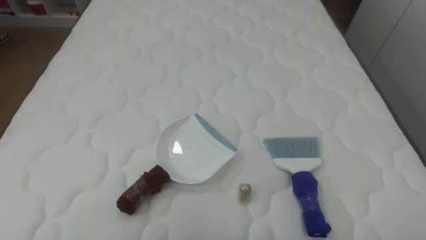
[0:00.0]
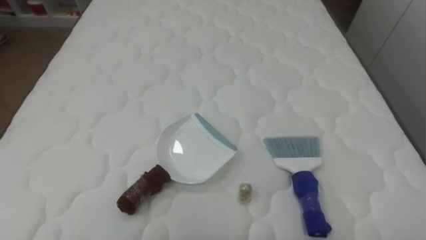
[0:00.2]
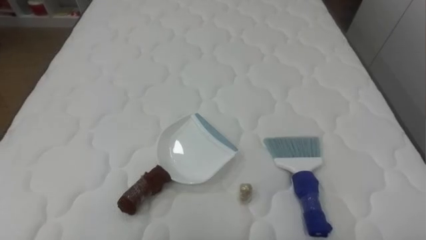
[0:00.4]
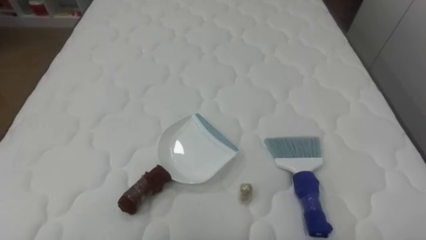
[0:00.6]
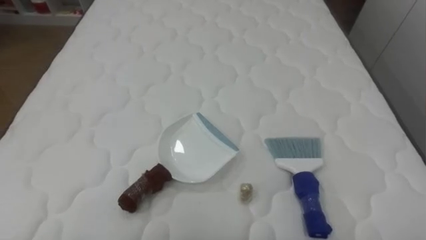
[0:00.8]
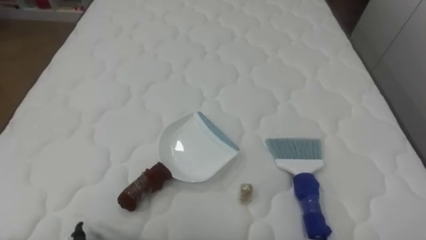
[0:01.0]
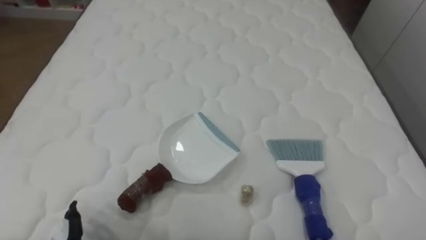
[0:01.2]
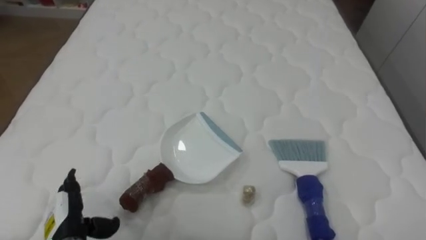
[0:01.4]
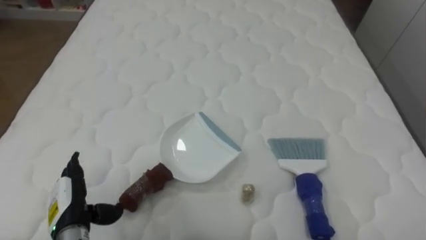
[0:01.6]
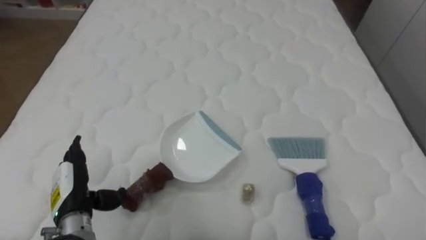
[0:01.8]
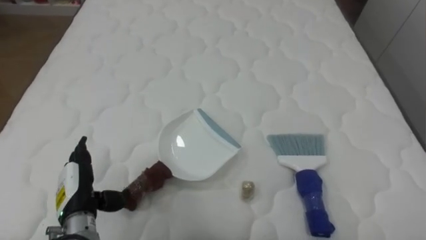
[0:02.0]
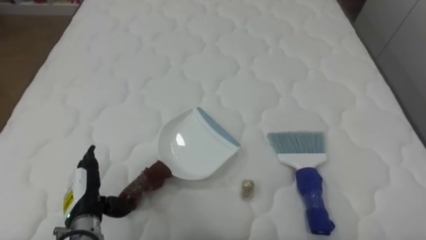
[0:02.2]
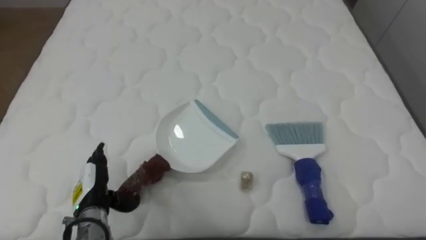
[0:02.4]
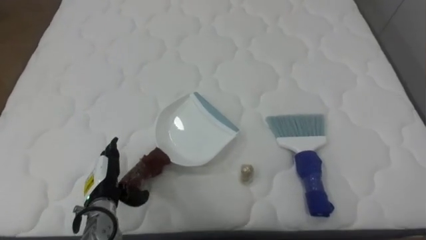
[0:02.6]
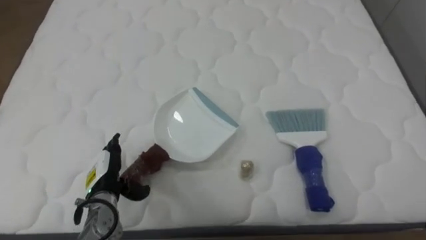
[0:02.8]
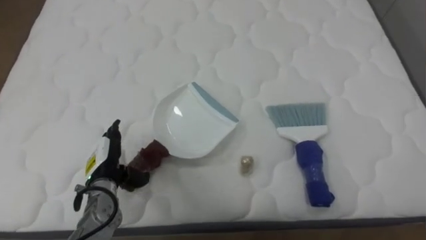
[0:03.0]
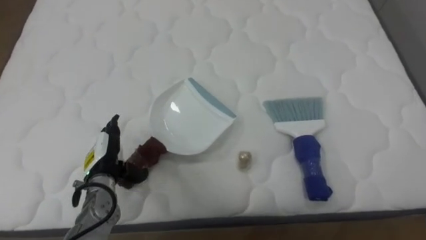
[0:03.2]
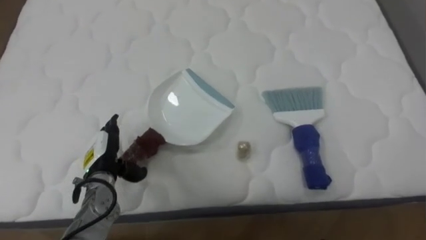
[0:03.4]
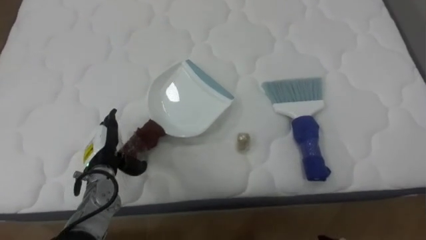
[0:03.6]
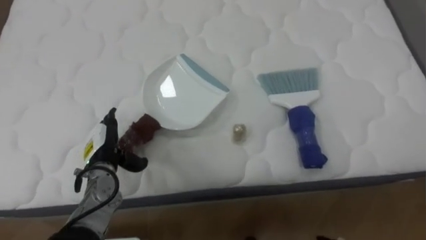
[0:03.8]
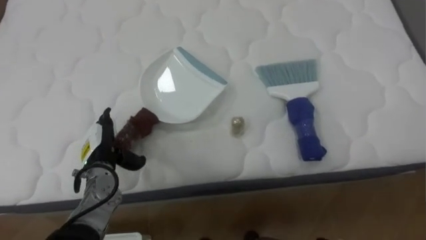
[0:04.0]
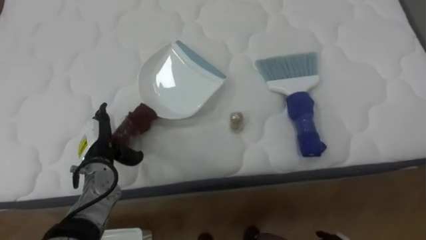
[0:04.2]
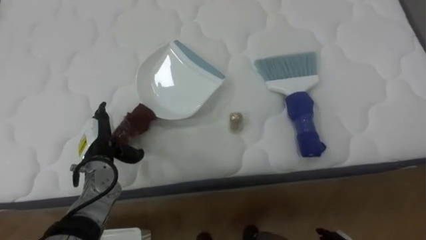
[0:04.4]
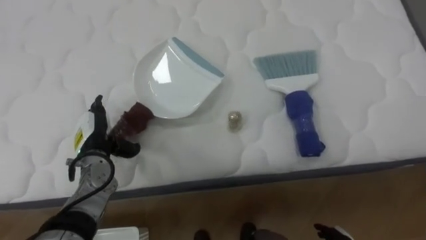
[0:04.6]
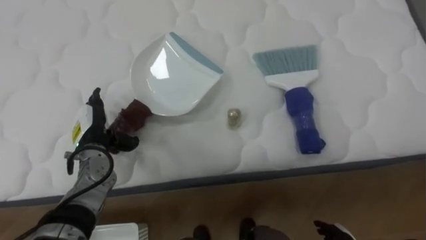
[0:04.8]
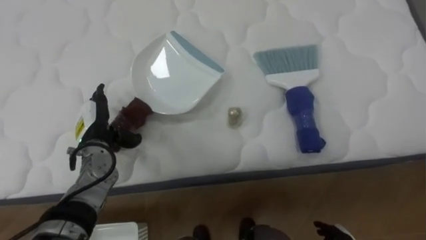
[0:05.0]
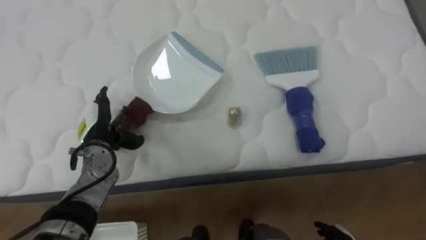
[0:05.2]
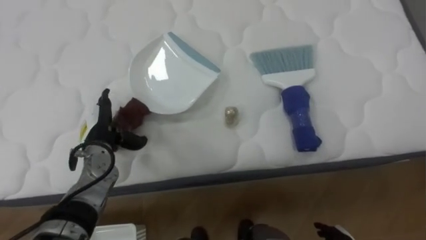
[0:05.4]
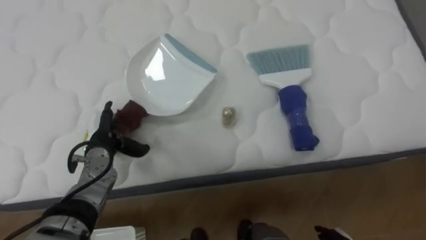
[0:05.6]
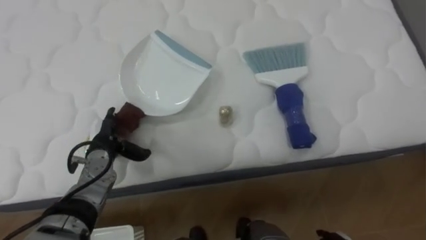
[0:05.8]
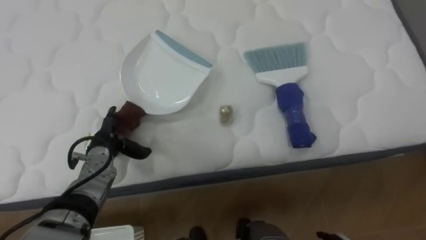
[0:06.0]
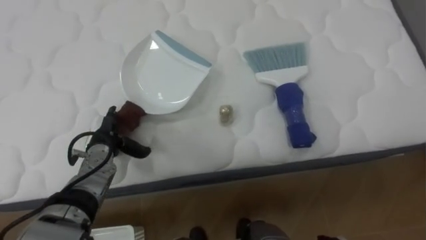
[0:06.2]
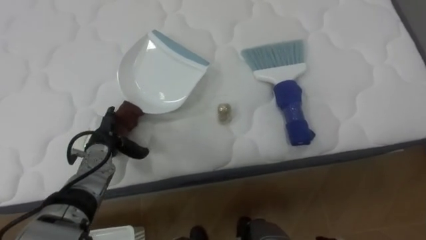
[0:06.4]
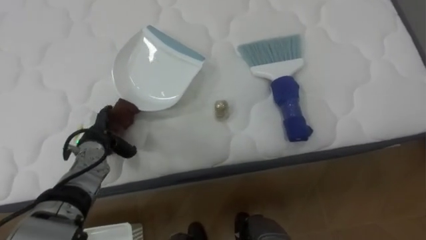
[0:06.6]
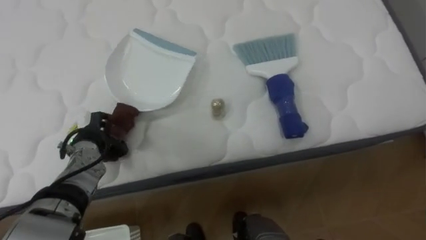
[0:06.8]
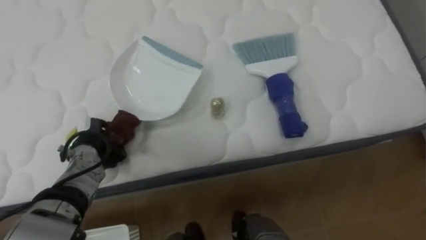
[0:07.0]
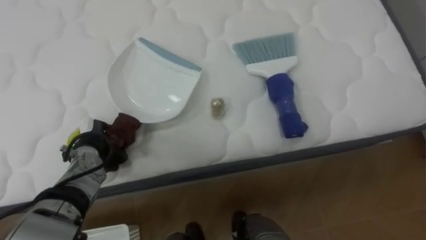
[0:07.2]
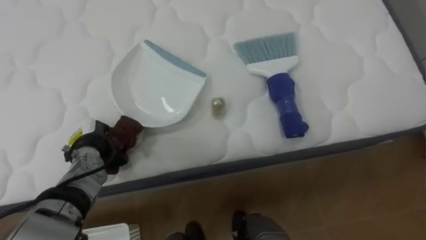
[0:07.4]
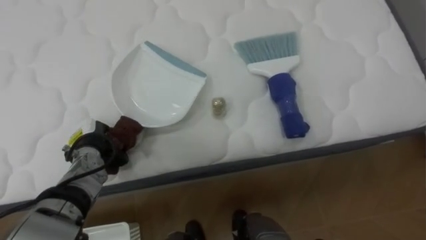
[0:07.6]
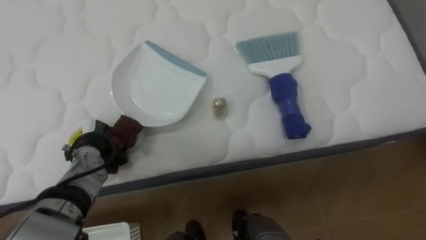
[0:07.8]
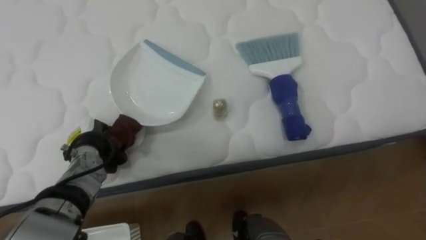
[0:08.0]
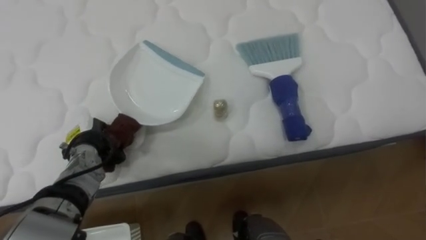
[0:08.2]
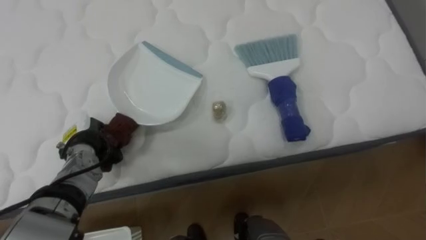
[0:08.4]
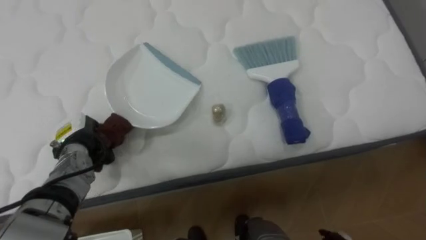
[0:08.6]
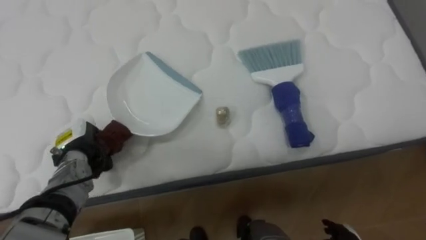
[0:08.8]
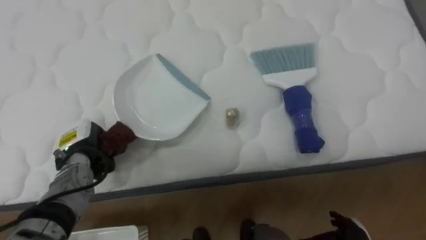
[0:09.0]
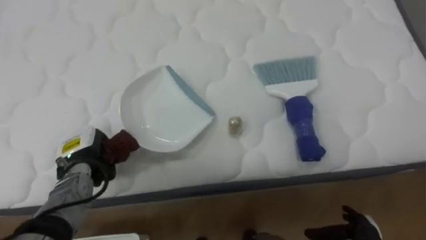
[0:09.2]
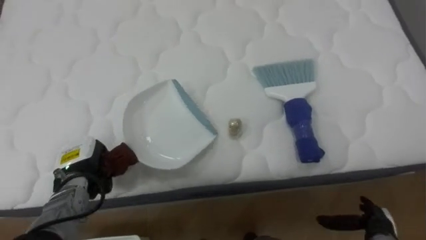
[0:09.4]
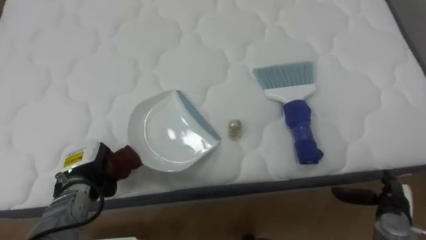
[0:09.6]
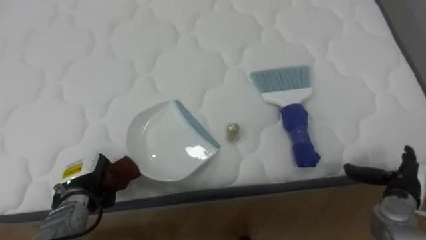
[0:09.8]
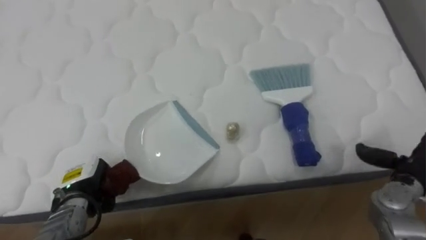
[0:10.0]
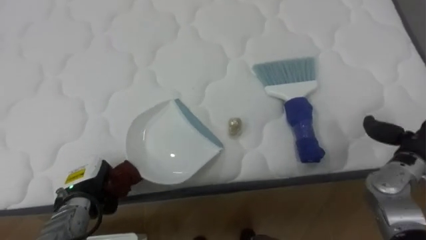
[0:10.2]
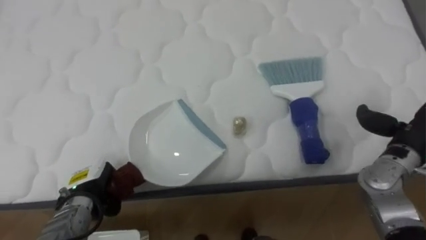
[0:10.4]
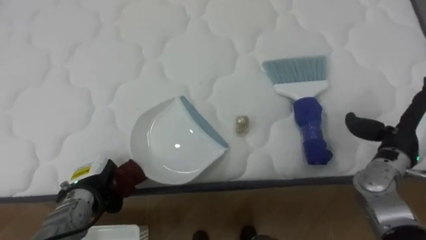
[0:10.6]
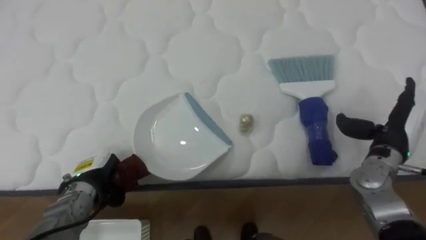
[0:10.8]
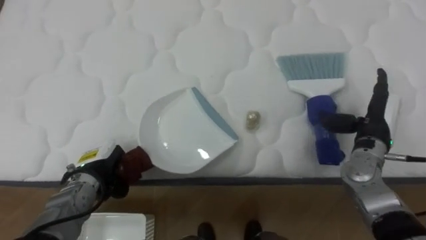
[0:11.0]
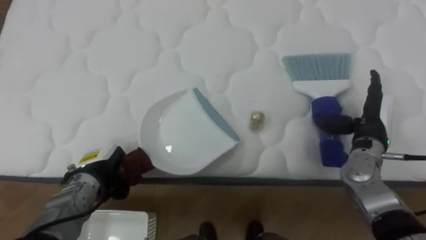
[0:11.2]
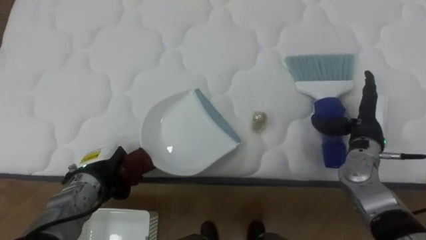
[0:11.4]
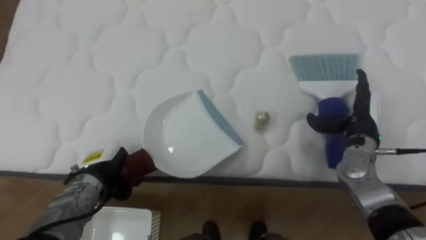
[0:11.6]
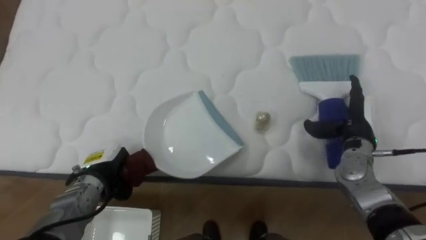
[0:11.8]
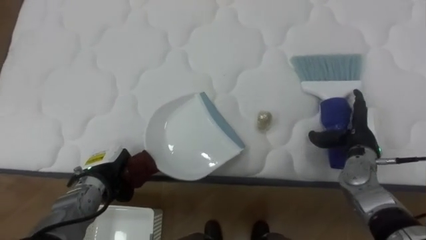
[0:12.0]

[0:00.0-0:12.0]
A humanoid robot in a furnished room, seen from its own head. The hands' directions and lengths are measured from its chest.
Task of the whole recording: Pick up the brush on your right and the dustpan on your left. Use the brush to sweep the crumpled paper on the bed into the dustpan, then turn left and empty it into the basket.
0:01.6 to 0:03.0: The left hand shifts roughly 10 cm forward and to the right.
0:06.0 to 0:07.6: The left hand closes.
0:09.0 to 0:10.4: The left hand heads backward, covering roughly 5 cm.
0:10.4 to 0:12.0: The right hand shifts about 10 cm downward and to the left.

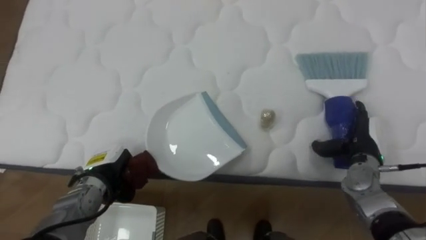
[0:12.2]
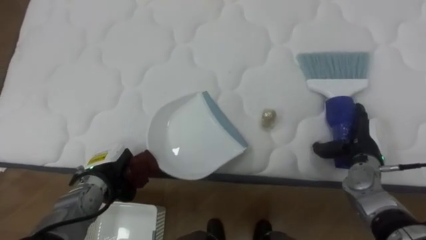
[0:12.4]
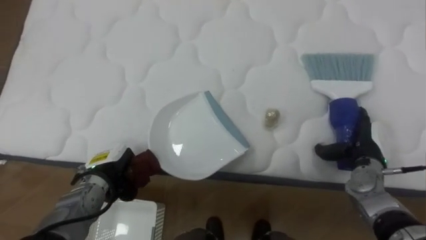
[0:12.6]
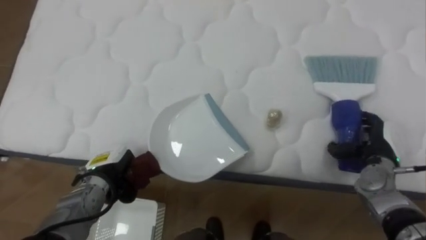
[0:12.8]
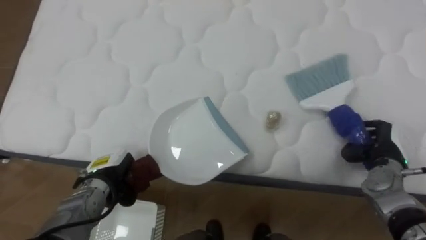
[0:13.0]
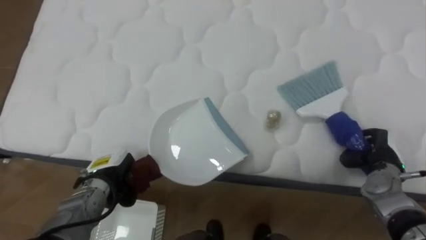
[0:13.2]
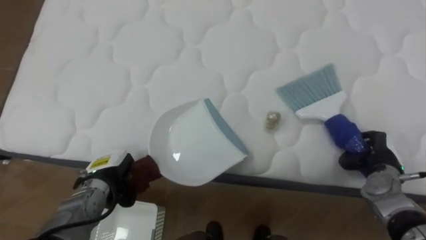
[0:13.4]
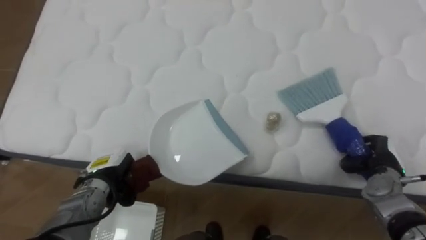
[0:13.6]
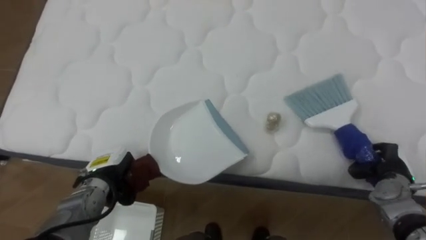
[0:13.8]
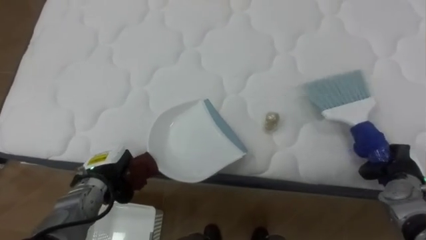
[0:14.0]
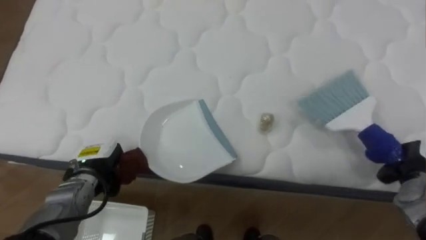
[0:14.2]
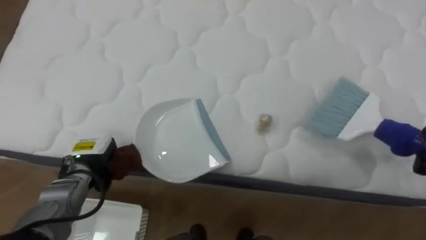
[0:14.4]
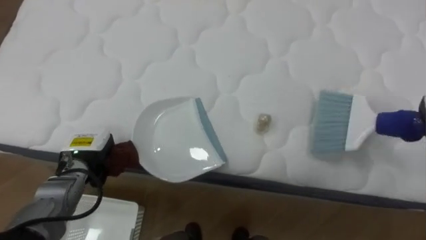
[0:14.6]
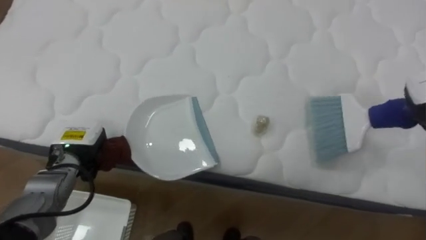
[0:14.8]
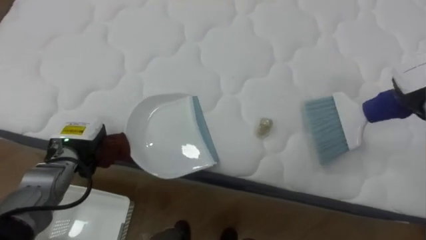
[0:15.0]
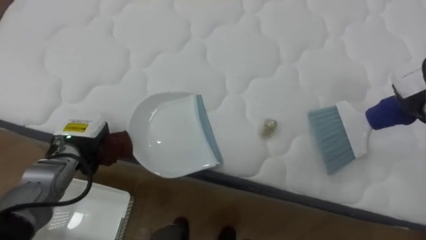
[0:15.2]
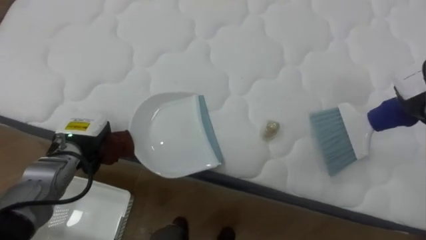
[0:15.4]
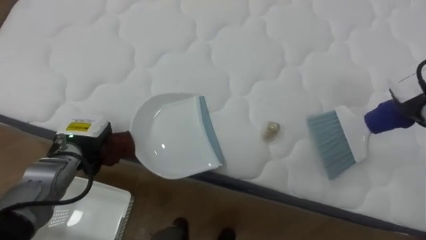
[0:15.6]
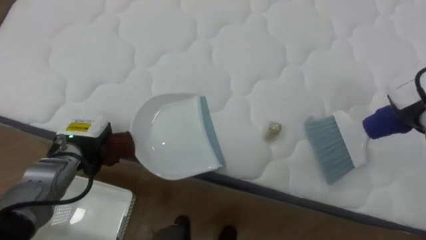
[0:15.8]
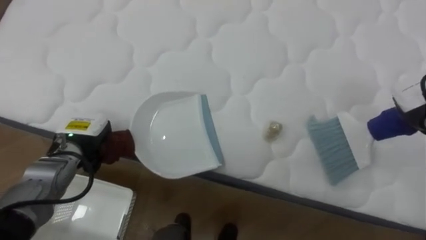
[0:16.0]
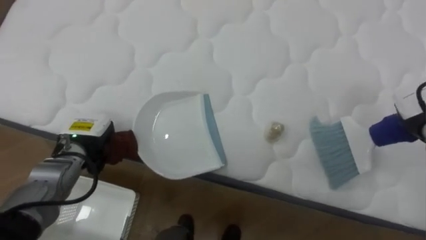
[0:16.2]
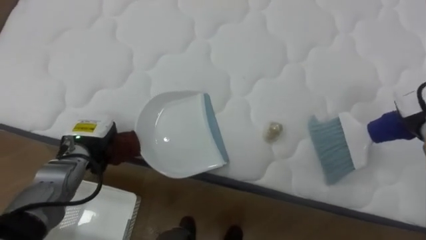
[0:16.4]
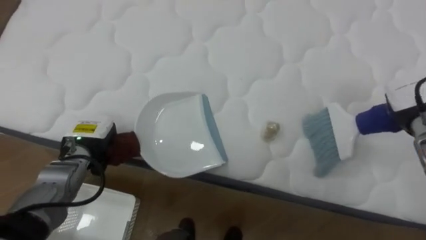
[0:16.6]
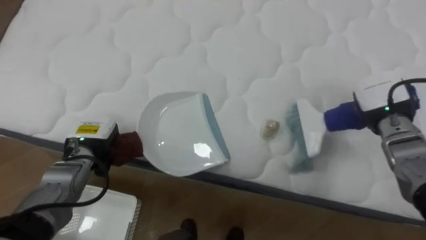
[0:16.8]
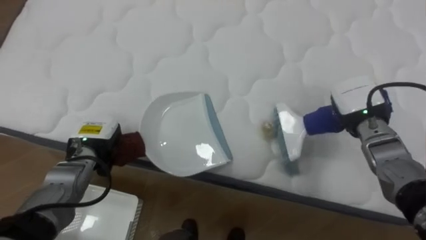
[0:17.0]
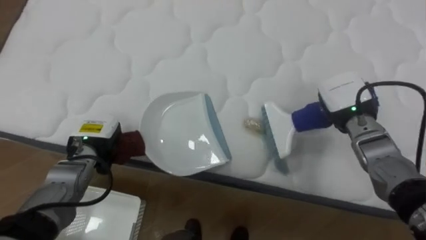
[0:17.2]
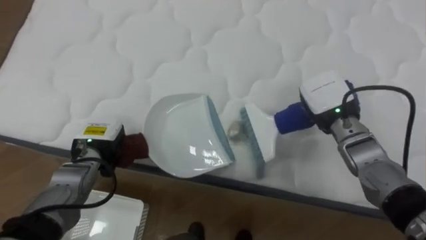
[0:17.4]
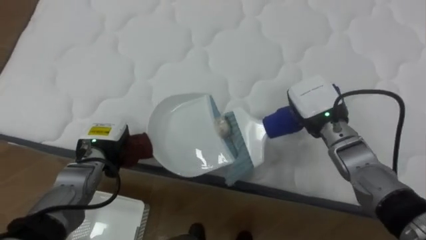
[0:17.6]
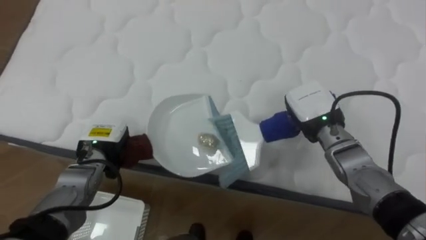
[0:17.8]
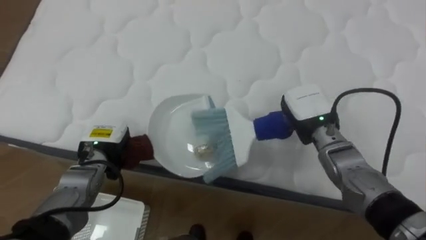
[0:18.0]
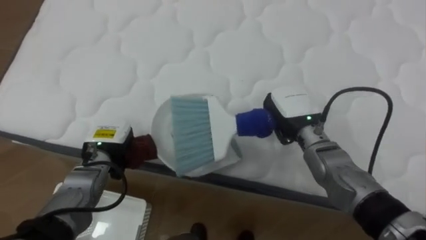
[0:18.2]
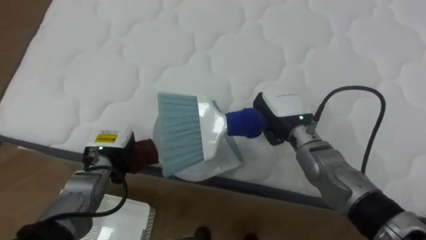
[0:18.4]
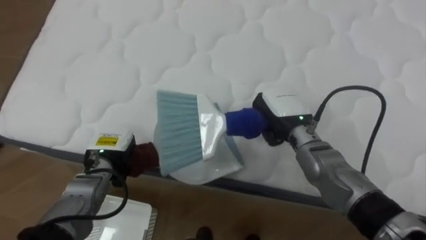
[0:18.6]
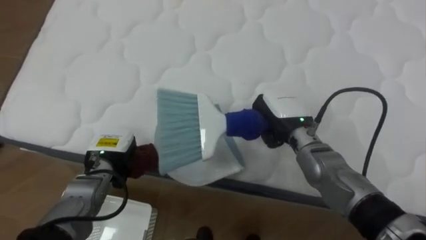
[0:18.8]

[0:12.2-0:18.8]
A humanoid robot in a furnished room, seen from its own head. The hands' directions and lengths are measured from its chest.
Task of the whole recording: Pick up the brush on your right and the dustpan on your left. Use the brush to sweep the crumpled paper on the bed into the dustpan, then turn left and empty it into the basket.
0:12.2 to 0:13.8: The right hand is displaced to the right by approximately 5 cm, and closes its fingers.
0:13.8 to 0:15.4: The left hand shifts approximately 5 cm upward.
0:15.4 to 0:17.2: The right hand travels to the left by approximately 15 cm.
0:17.2 to 0:18.8: The right hand moves to the left, approximately 10 cm.
